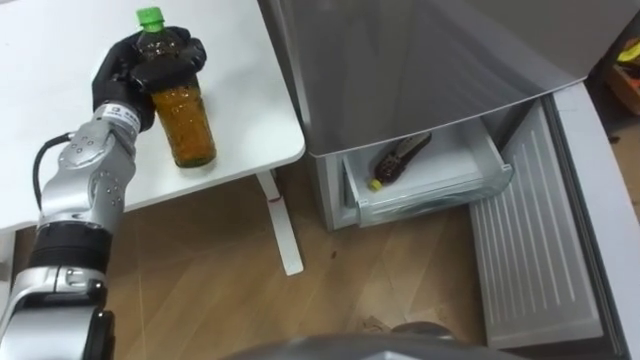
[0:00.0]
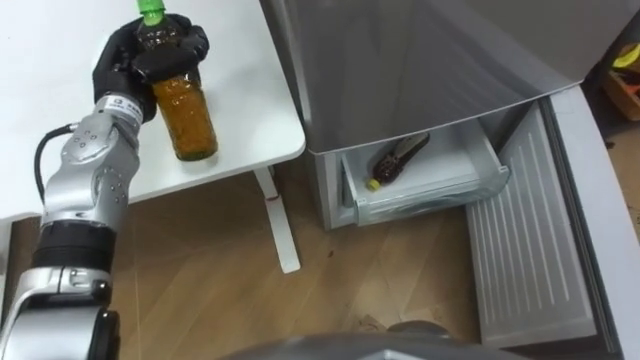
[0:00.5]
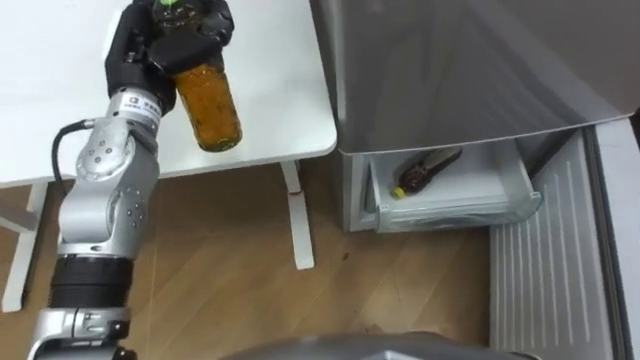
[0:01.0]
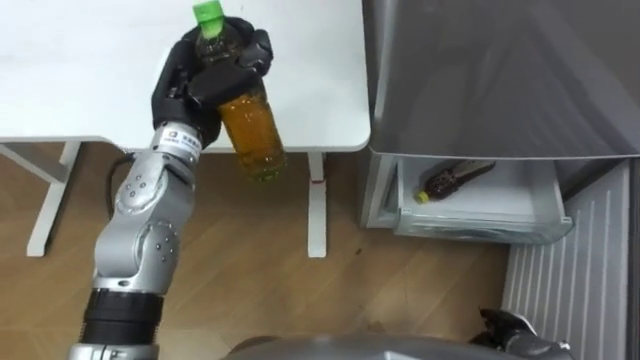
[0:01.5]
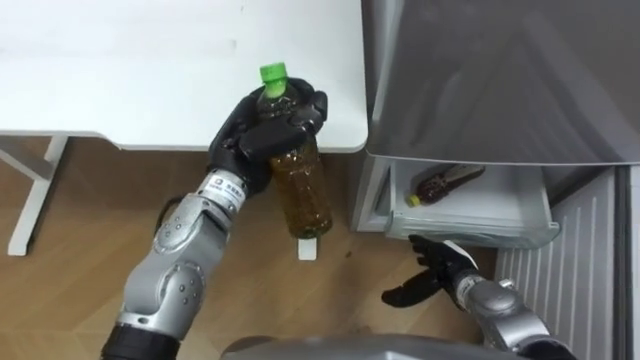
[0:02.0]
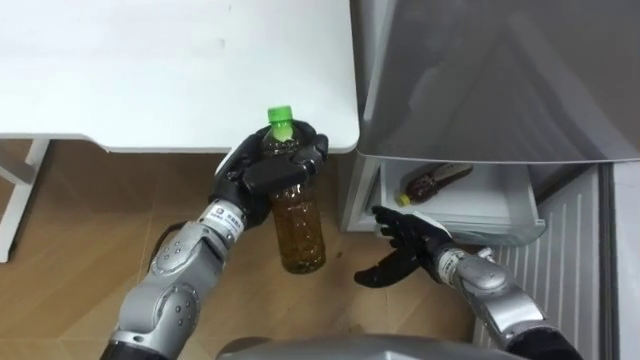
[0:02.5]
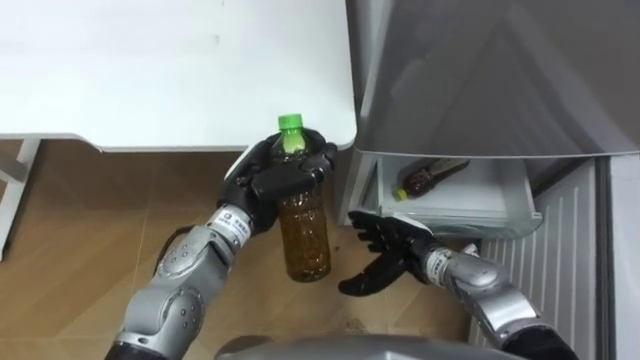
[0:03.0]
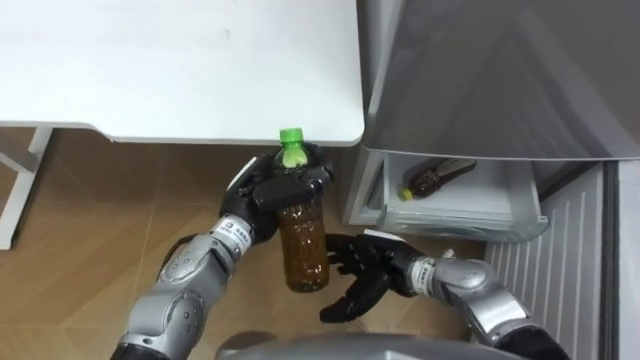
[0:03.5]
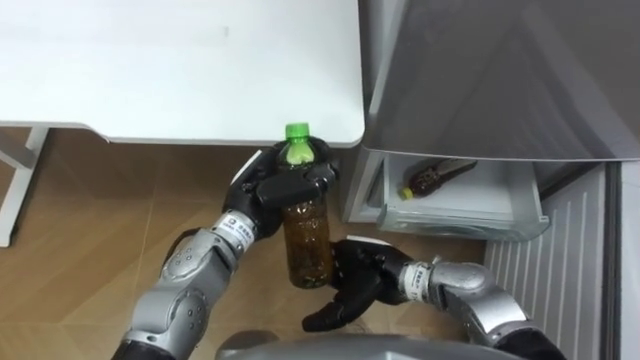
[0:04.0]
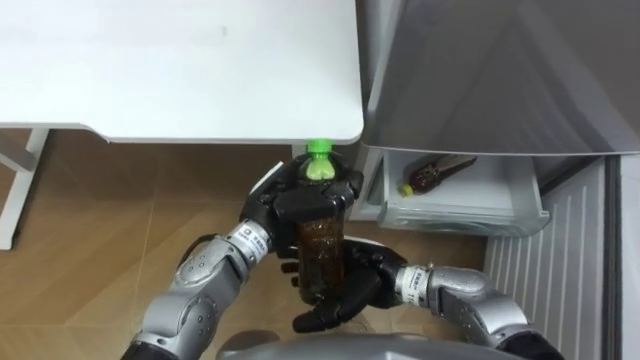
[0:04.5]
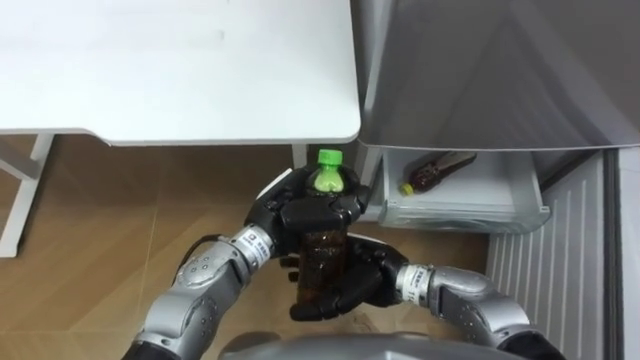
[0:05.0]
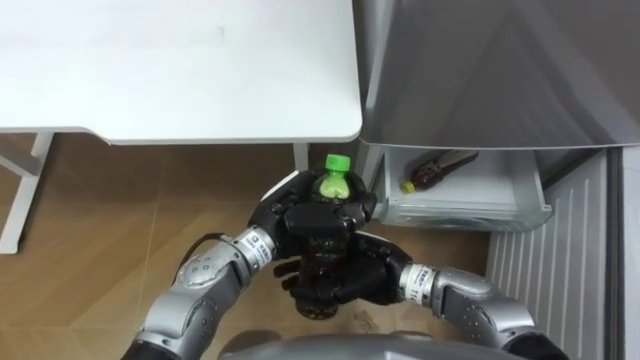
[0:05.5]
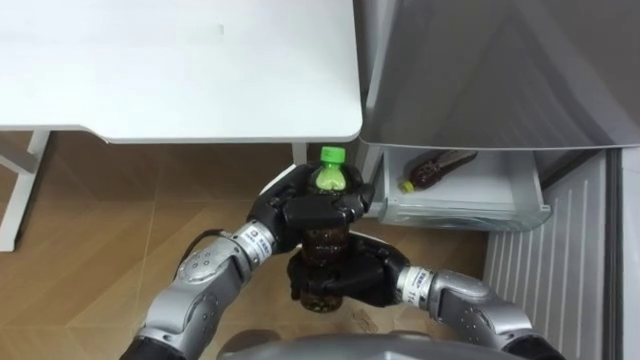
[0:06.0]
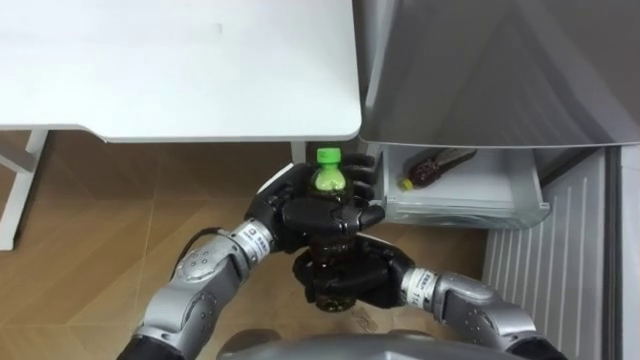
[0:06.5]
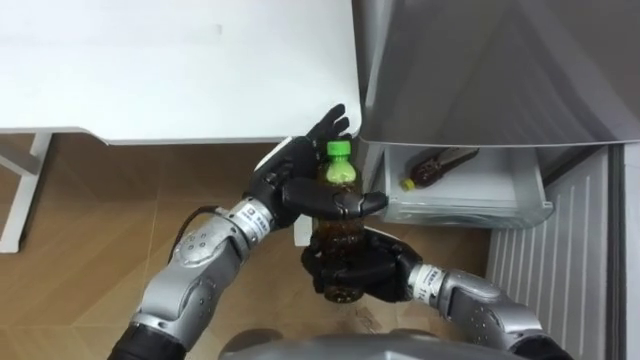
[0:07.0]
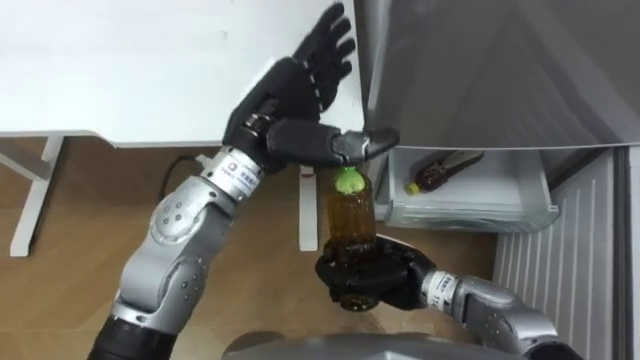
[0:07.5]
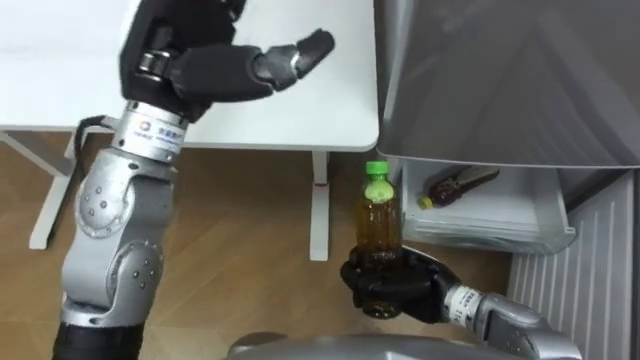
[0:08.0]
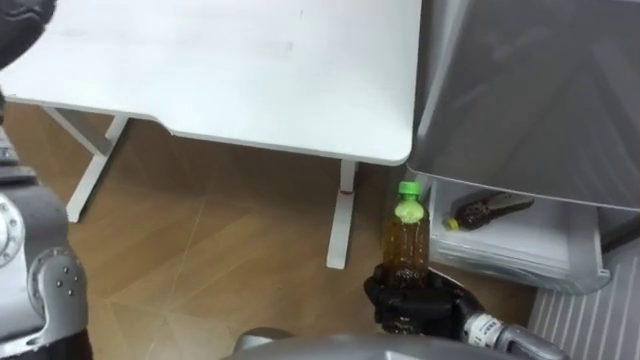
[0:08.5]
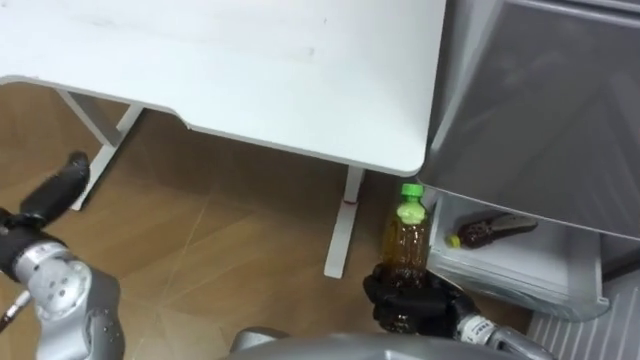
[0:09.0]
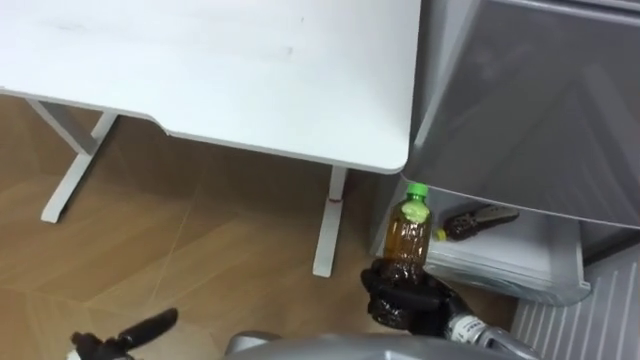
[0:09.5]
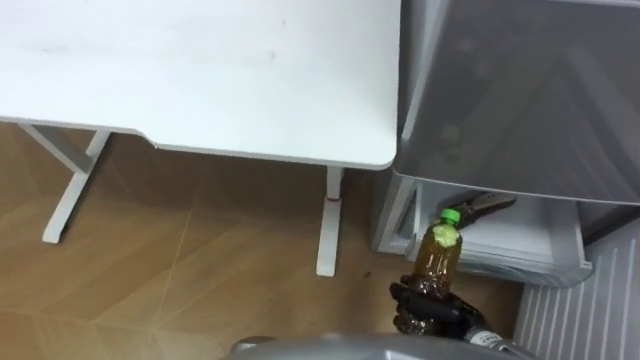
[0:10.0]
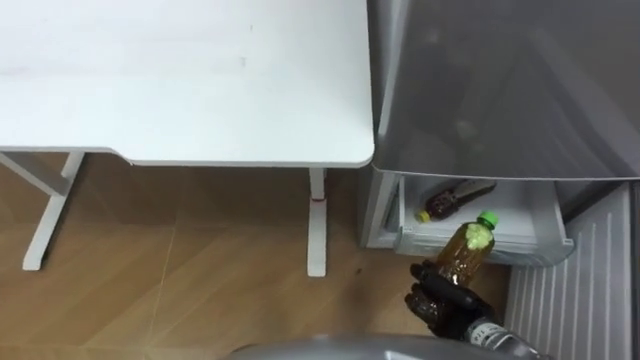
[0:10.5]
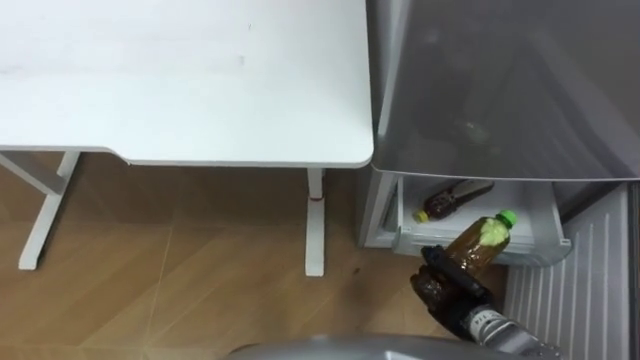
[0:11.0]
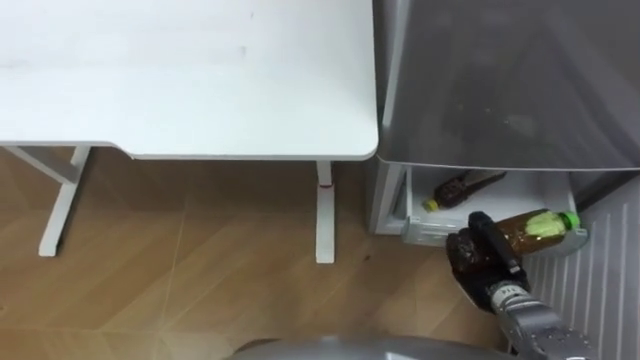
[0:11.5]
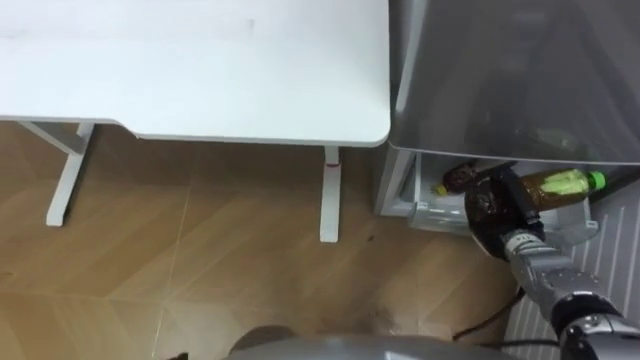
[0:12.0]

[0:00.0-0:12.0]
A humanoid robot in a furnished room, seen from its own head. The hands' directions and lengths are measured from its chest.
Task of the whole recording: Place the drink on the table on the bottom shelf of the refrigerator, then close the drawer and the refrigerator door.
0:00.0 to 0:02.0: The left hand travels to the right and backward by approximately 15 cm.
0:02.0 to 0:04.0: The left hand heads downward, covering approximately 5 cm, while the right hand shifts roughly 15 cm to the left and upward.
0:04.0 to 0:06.0: The right hand closes.
0:06.0 to 0:08.0: The right hand moves to the right, some 5 cm, while the left hand shifts roughly 20 cm upward, and opens up.
0:08.0 to 0:10.0: The right hand goes approximately 10 cm downward, to the right and backward.
0:10.0 to 0:12.0: The right hand heads forward and to the right, covering roughly 15 cm.

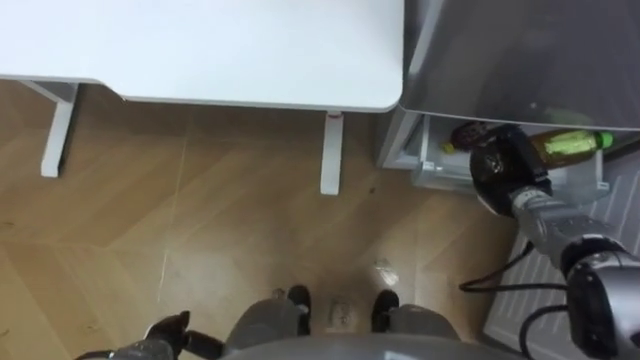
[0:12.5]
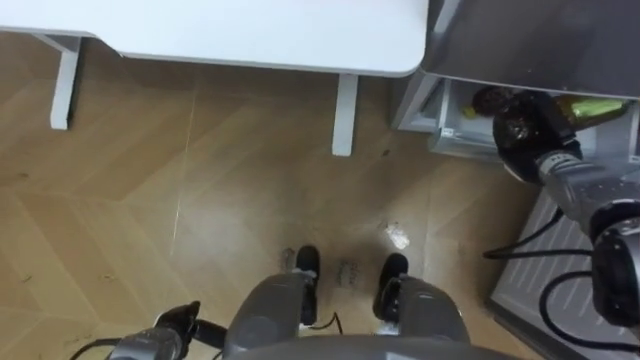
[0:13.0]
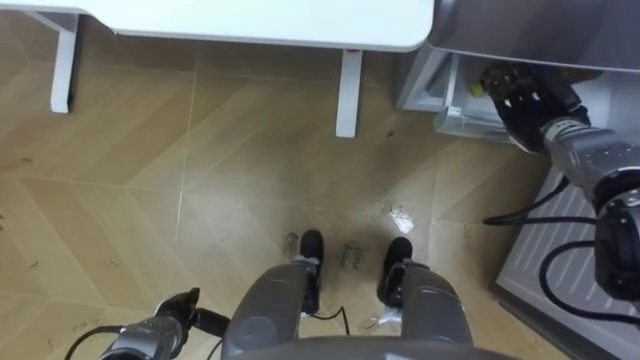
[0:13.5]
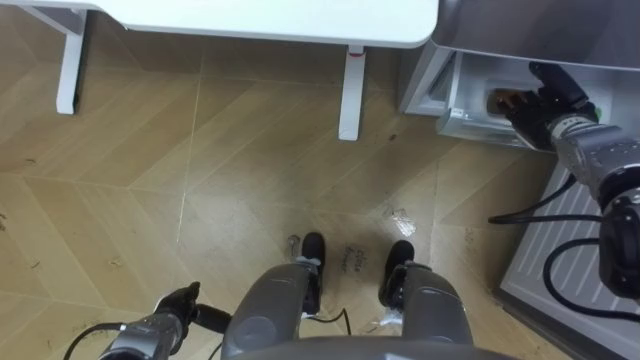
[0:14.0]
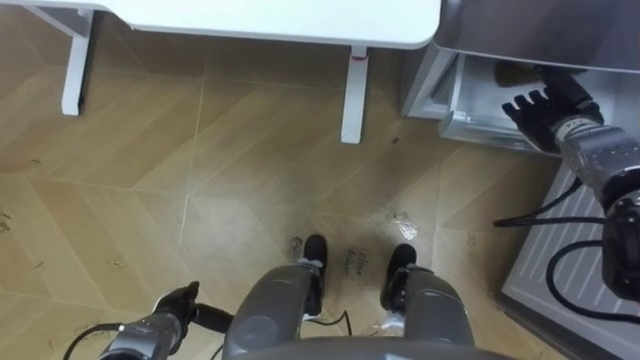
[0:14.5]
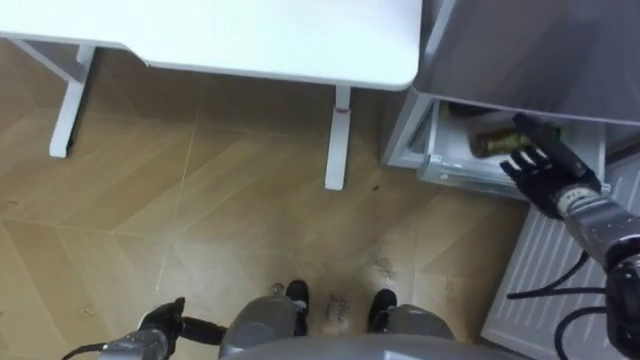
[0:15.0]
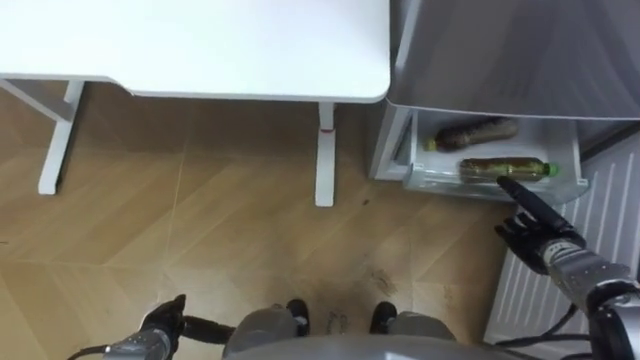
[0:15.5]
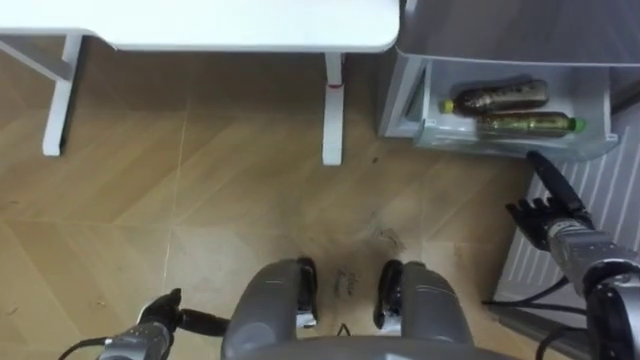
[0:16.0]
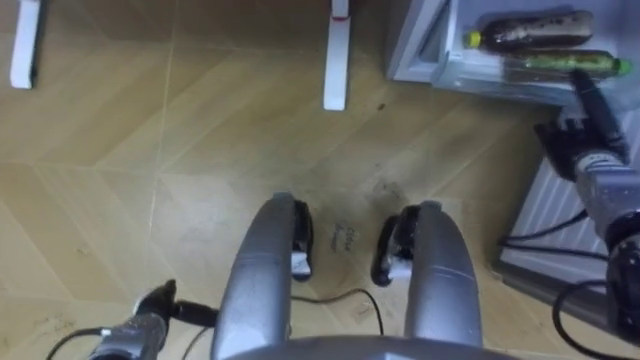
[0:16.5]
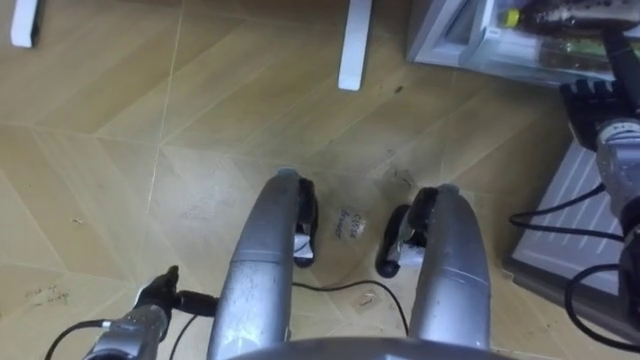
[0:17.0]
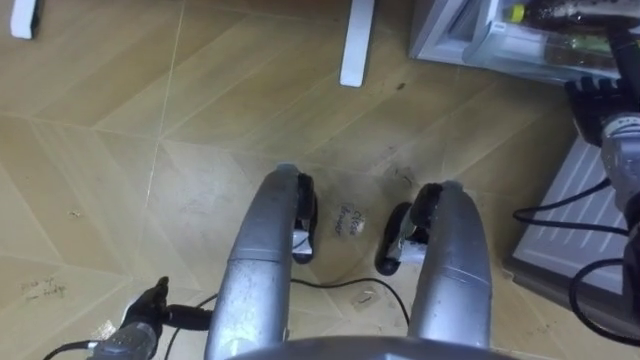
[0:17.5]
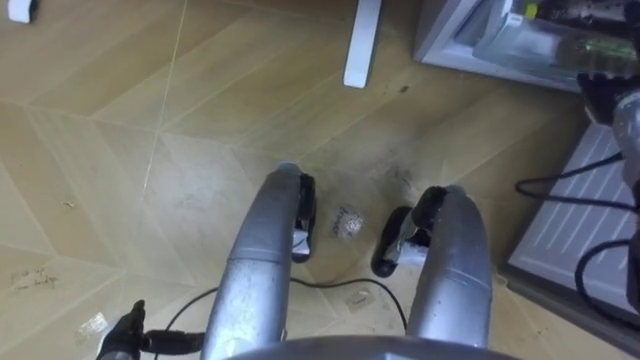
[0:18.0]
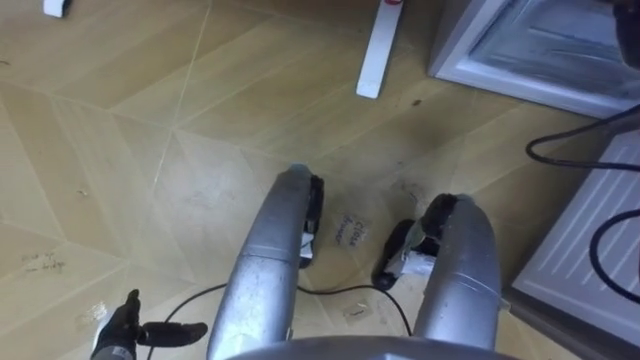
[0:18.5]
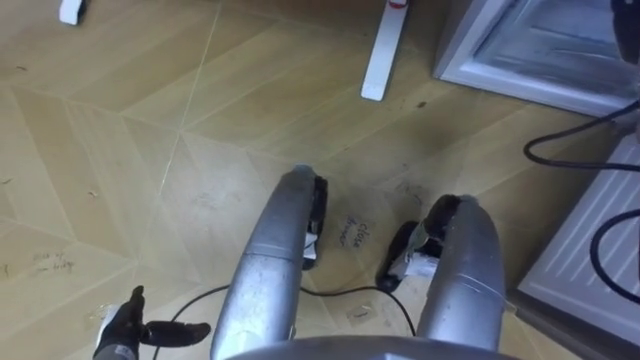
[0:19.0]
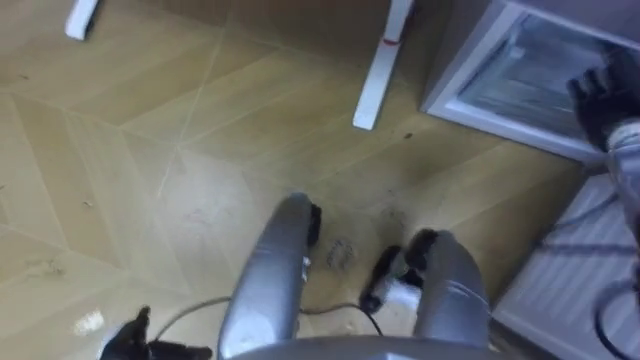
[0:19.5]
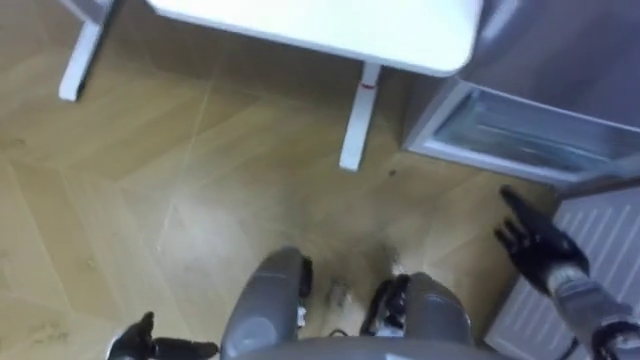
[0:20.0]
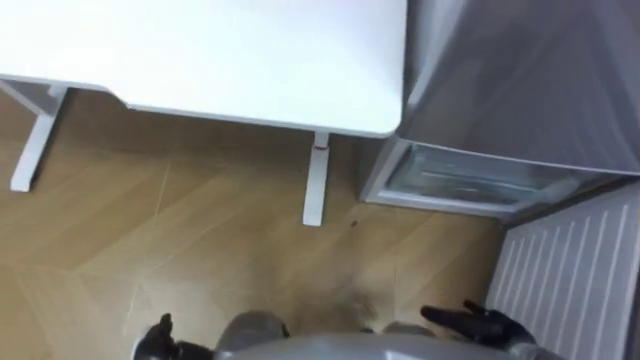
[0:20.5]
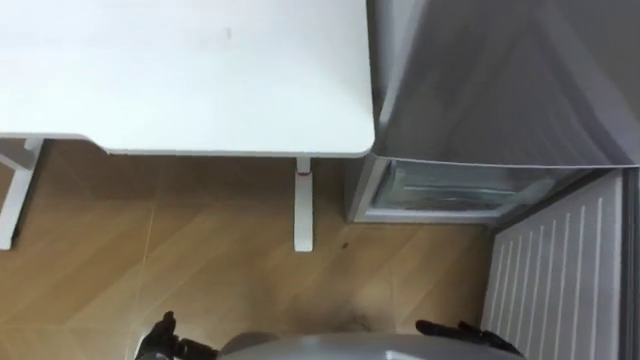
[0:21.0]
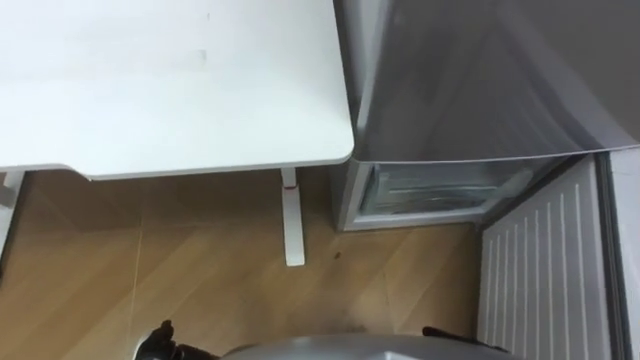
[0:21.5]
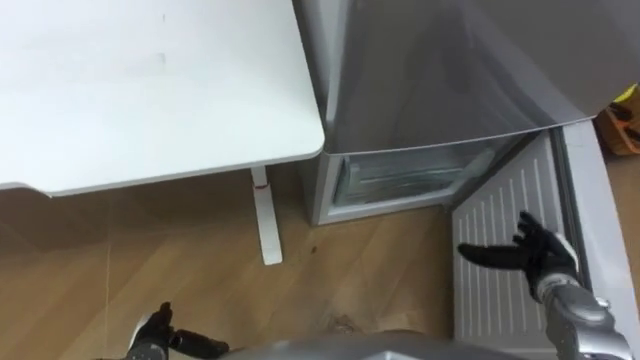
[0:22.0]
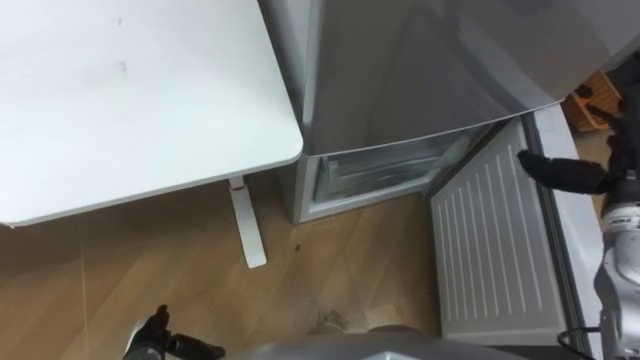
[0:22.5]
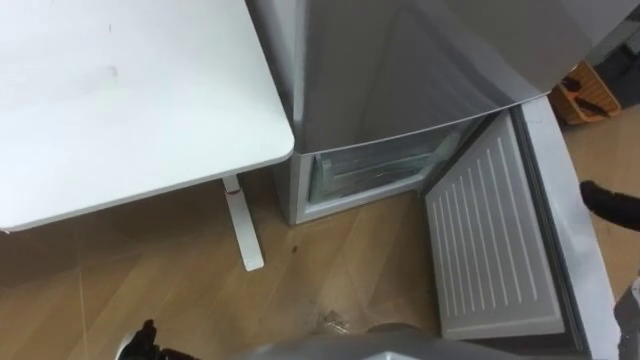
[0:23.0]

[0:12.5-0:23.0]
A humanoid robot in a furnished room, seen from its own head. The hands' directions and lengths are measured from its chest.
Task of the whole recording: Place the drink on the table on the bottom shelf of the refrigerator, then close the drawer and the refrigerator door.
0:12.5 to 0:14.5: The right hand is displaced upward and forward by some 10 cm, and opens. Meanwhile the left hand moves forward, roughly 5 cm.
0:14.5 to 0:16.5: The right hand goes backward and returns, approximately 15 cm each way.
0:16.5 to 0:19.0: The left hand changes place by about 5 cm.
